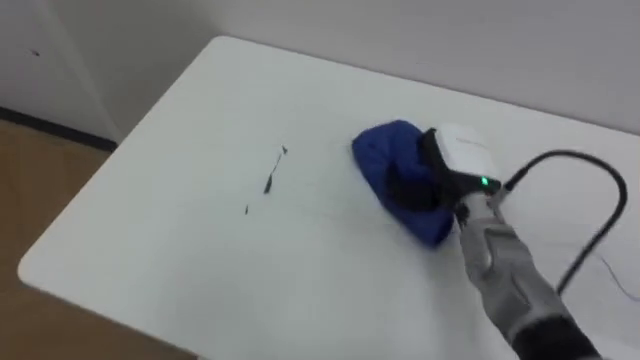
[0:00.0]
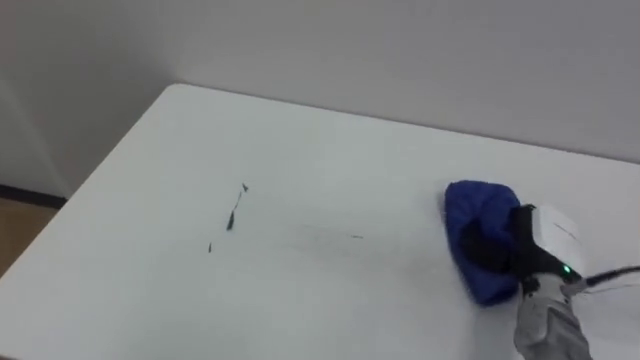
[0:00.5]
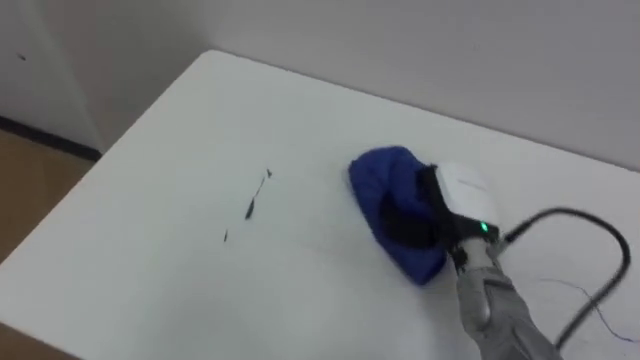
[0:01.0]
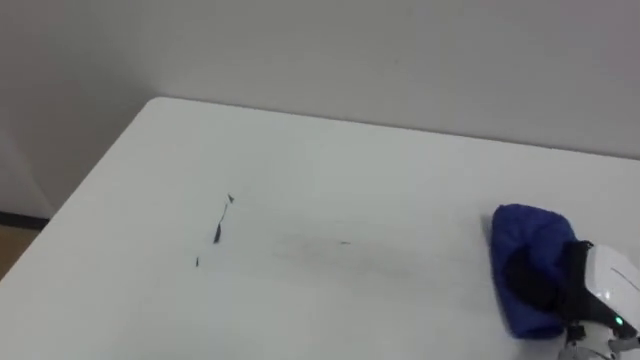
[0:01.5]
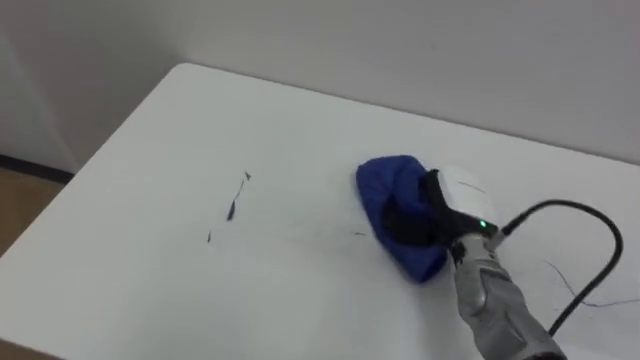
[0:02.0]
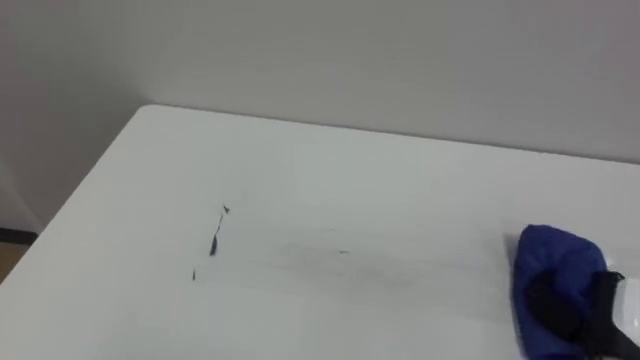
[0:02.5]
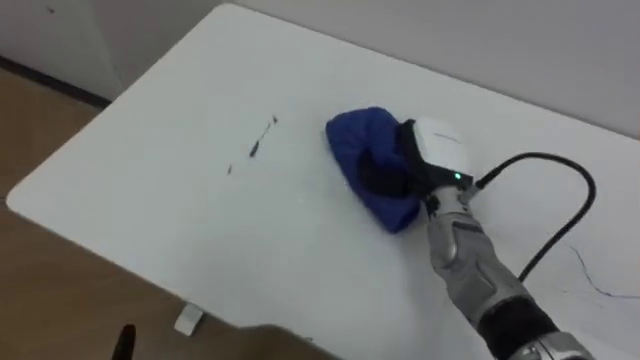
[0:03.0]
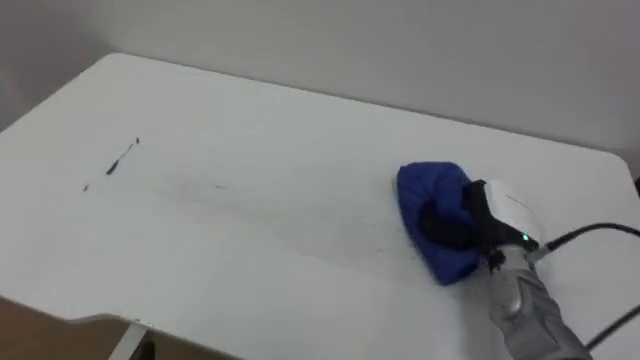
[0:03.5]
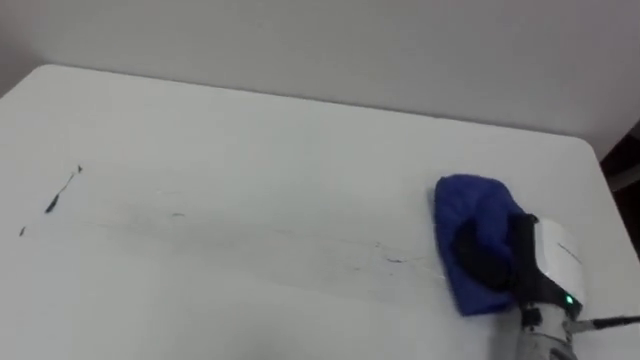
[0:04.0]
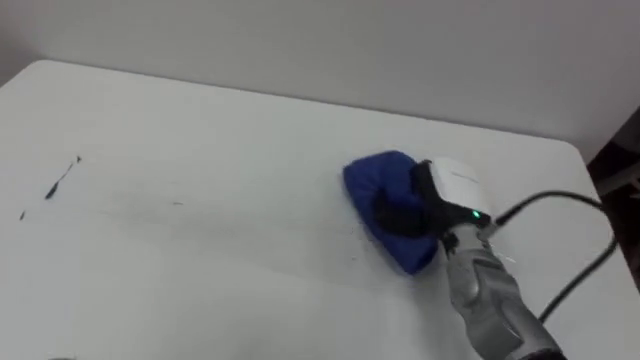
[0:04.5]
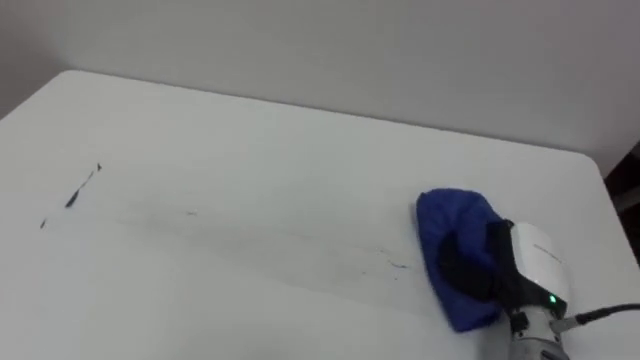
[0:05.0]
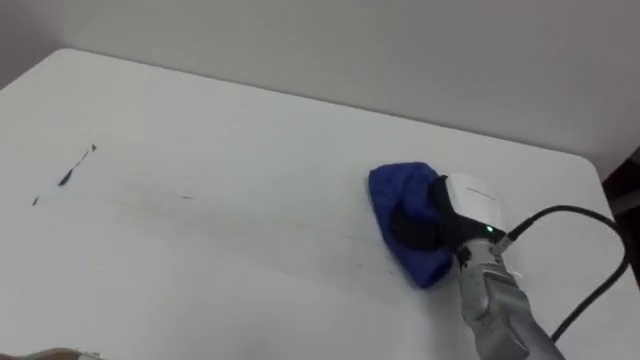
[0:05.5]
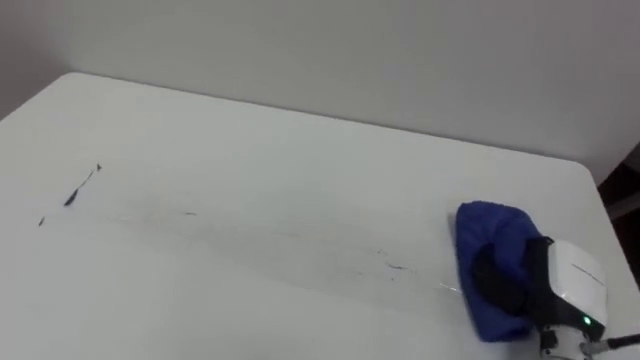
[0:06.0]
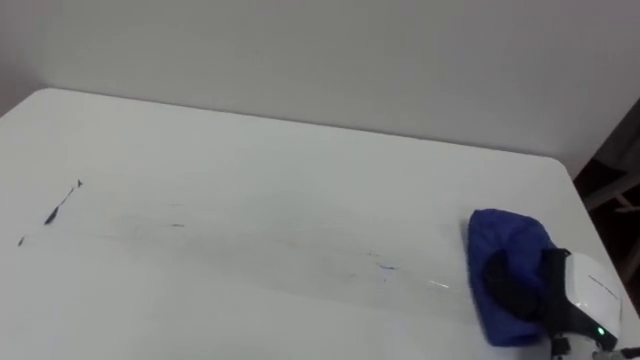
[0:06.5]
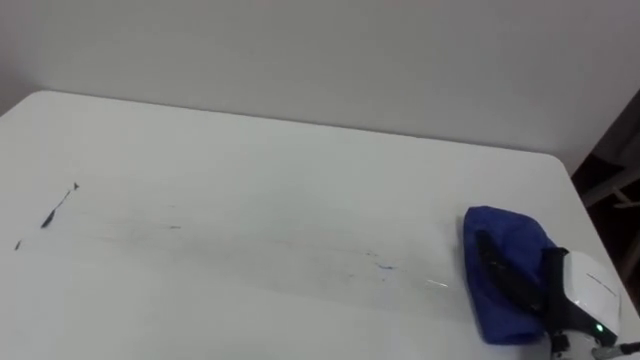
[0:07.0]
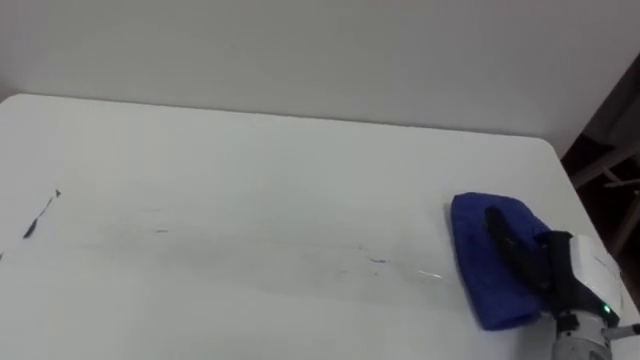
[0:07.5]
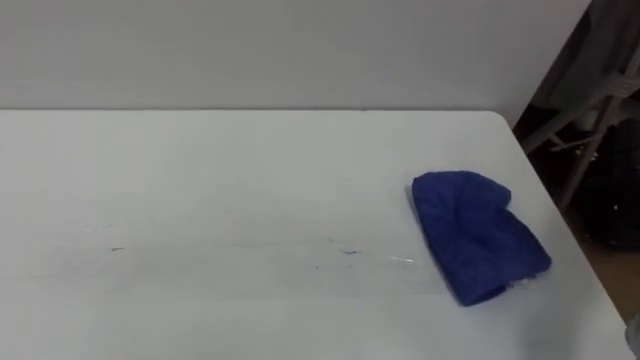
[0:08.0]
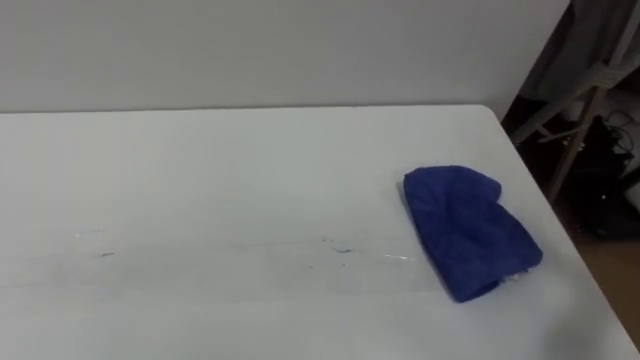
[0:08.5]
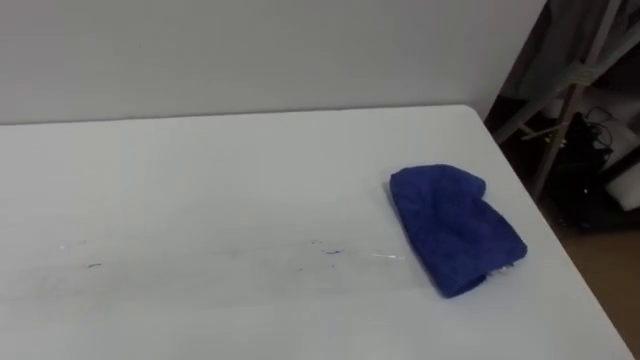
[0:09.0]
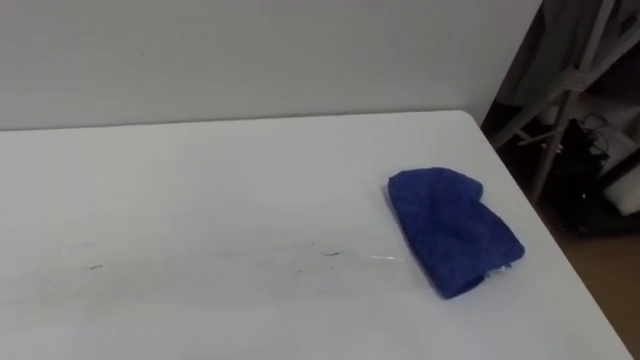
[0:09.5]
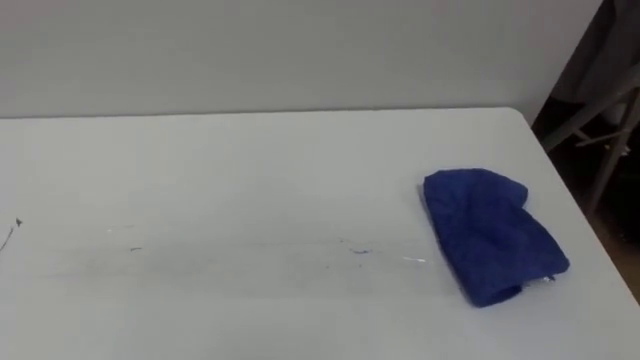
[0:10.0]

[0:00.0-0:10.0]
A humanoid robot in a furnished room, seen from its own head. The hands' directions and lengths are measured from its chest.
Task of the whole recording: Wipe the blue pen marks off the table with the rag.
0:00.0 to 0:02.0: The right hand swings left and right, roughly 15 cm each way, with 3 reversals.
0:02.0 to 0:04.0: The right hand swings left and right, about 20 cm each way, with 2 reversals.
0:04.0 to 0:06.0: The right hand goes left and right, approximately 10 cm each way, reversing 3 times.

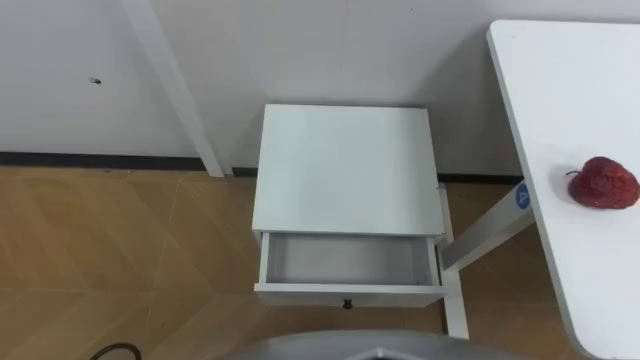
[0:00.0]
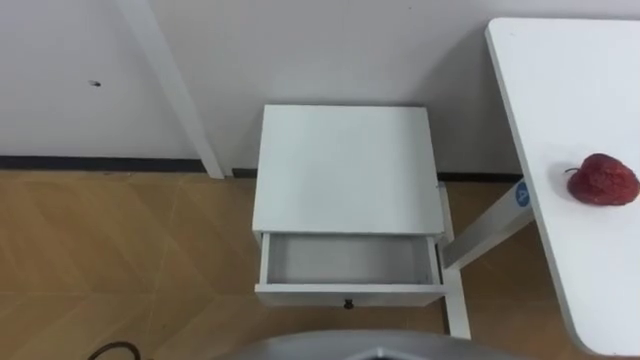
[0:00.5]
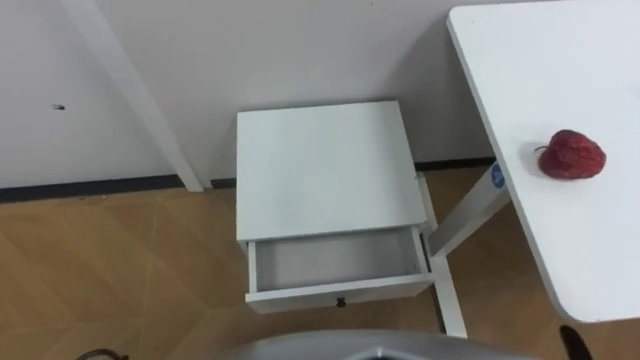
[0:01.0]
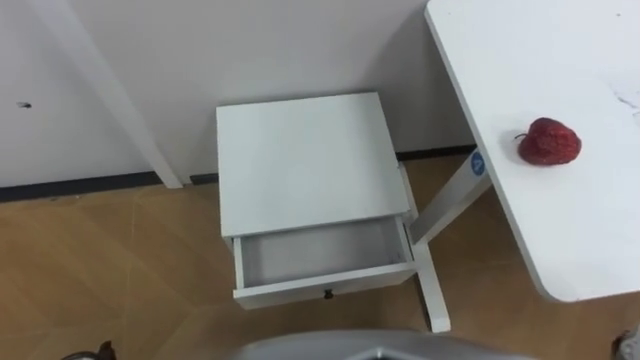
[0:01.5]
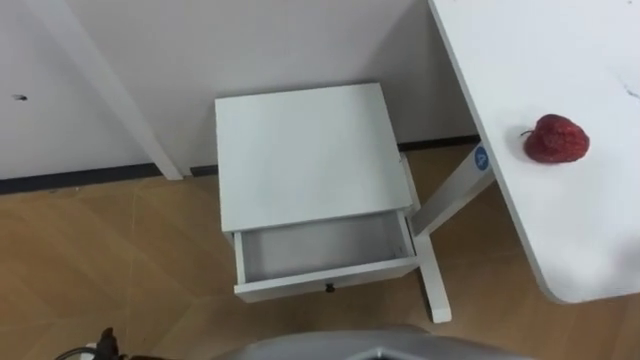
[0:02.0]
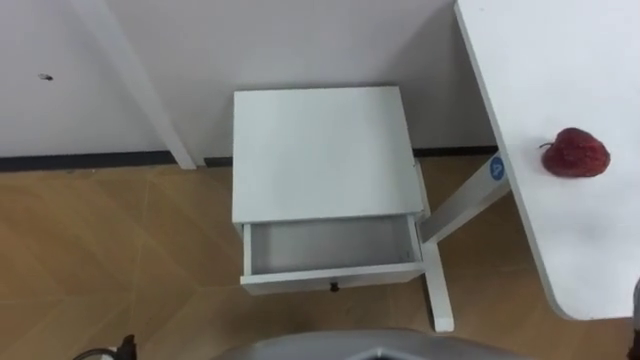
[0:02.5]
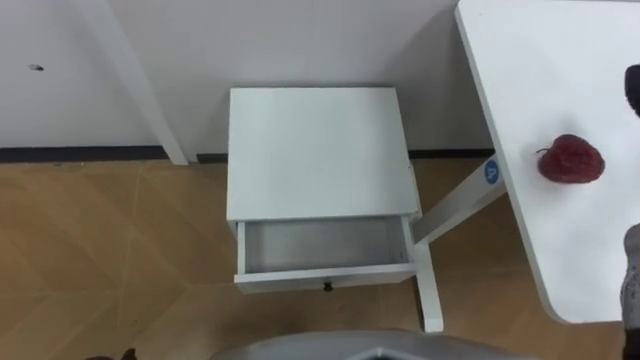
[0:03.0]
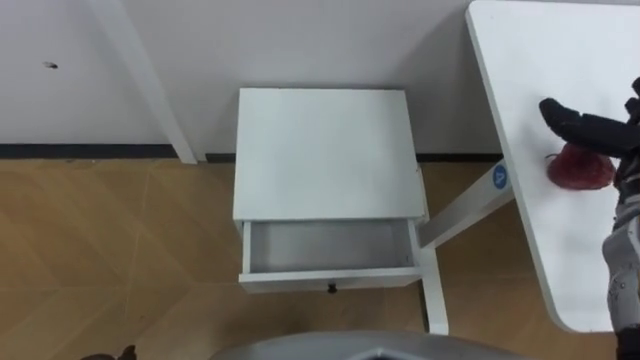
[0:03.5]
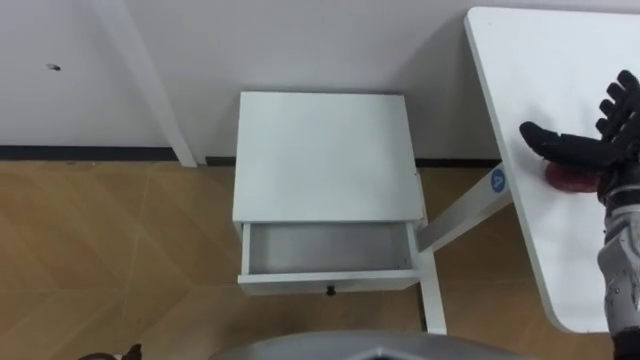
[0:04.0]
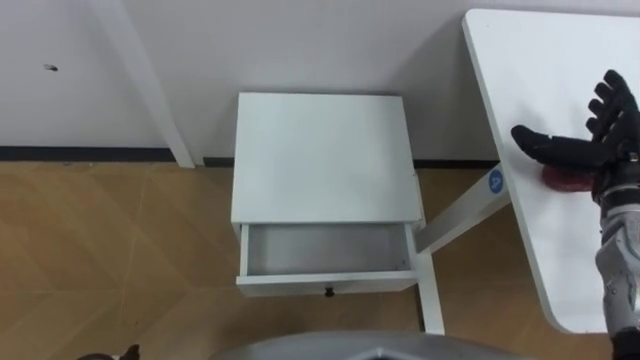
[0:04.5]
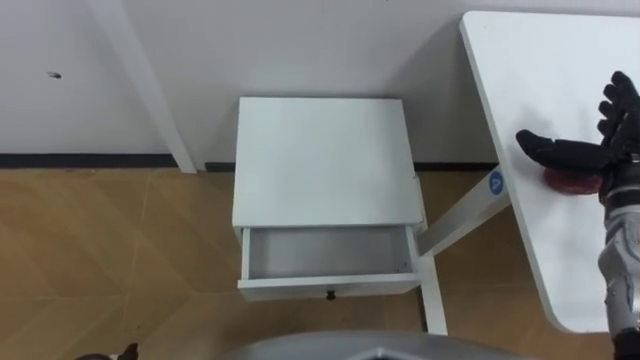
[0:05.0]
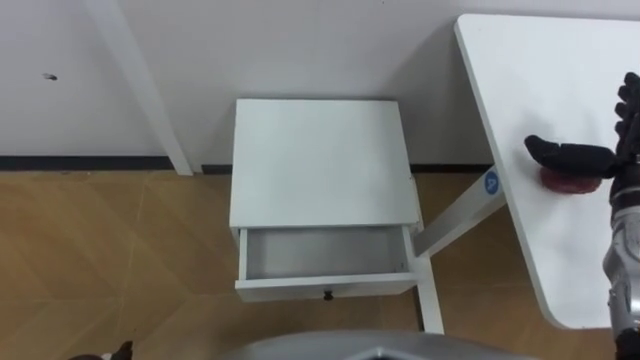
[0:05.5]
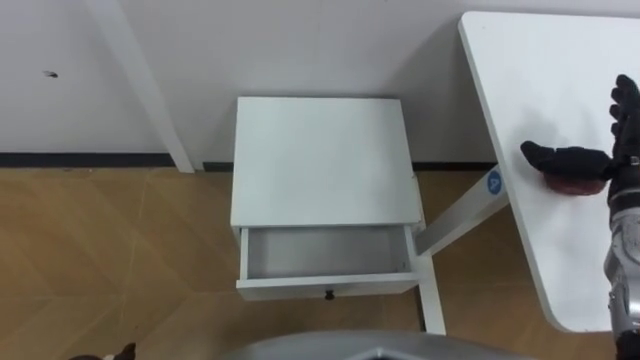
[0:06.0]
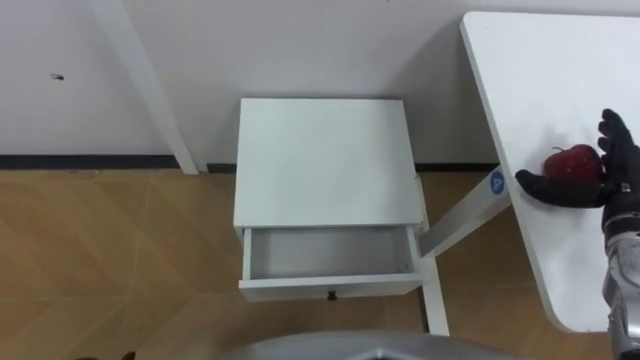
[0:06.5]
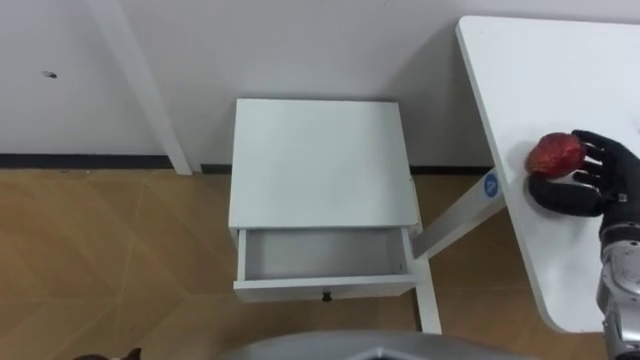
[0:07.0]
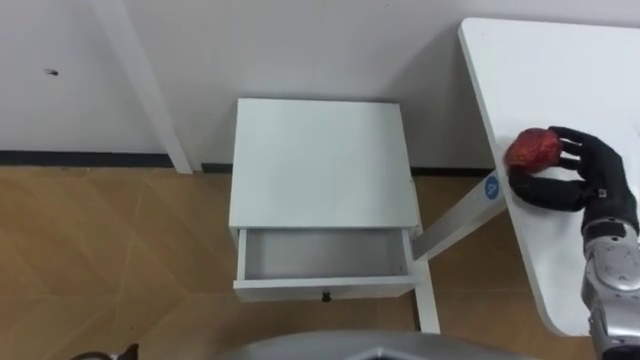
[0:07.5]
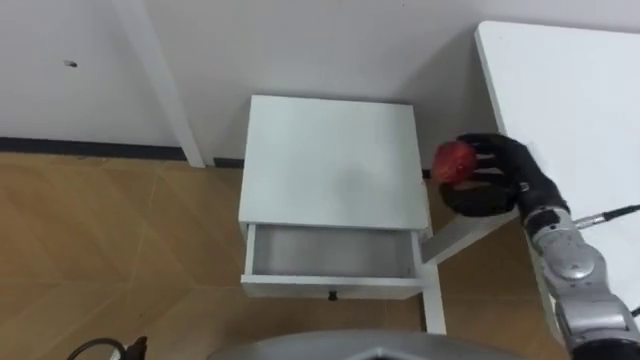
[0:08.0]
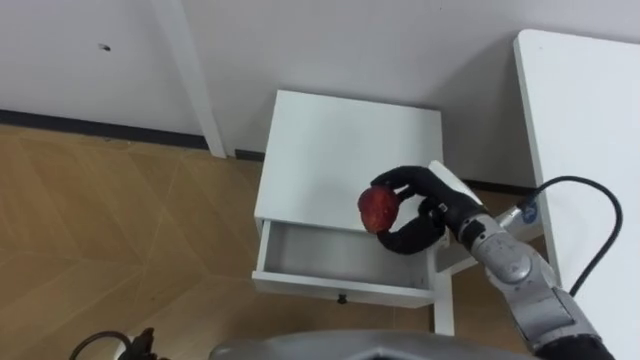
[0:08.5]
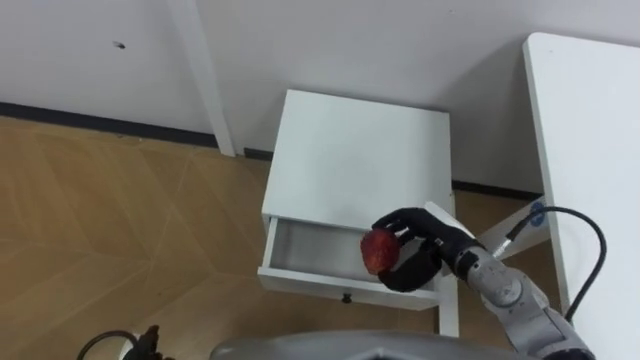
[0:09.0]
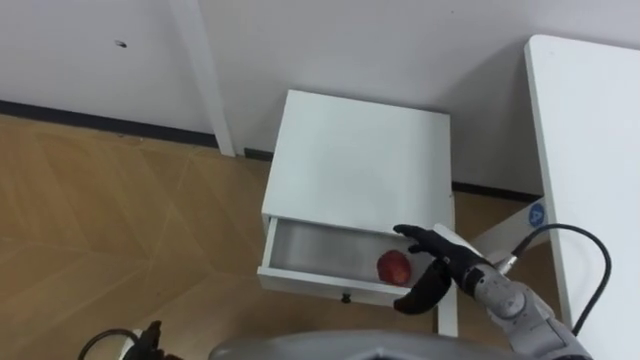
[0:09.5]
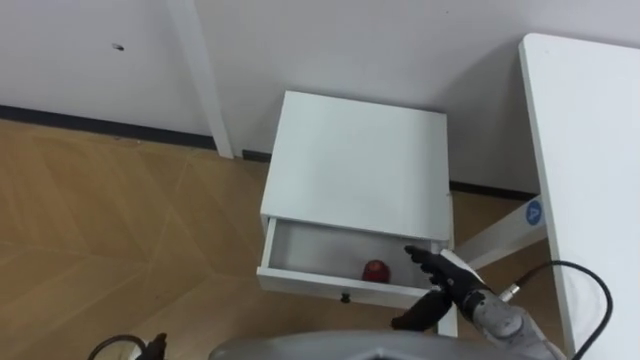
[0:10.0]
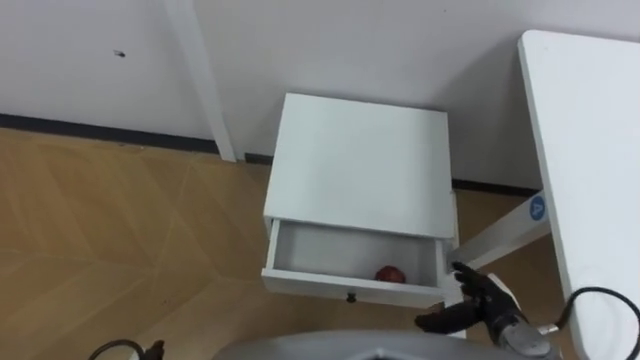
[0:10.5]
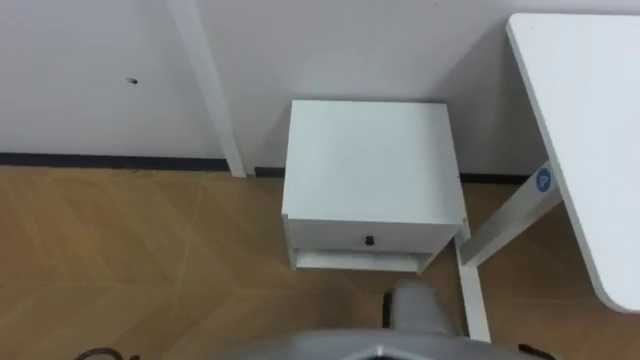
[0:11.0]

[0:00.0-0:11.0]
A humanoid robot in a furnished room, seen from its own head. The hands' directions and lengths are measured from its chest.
Task of the whole recording: Pick up the apple from the table, put it in the drawer, and close the drawer with leg.
0:05.5 to 0:07.5: The right hand heads downward, covering roughly 5 cm, and closes.
0:07.5 to 0:09.0: The right hand is displaced to the left by about 20 cm.
